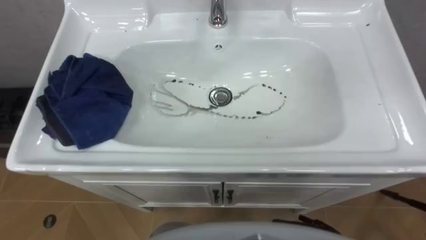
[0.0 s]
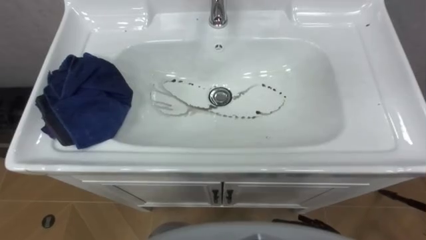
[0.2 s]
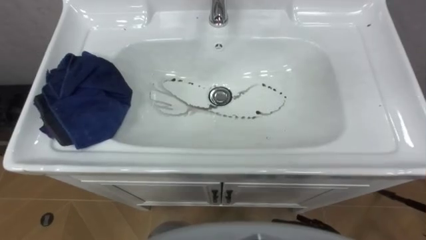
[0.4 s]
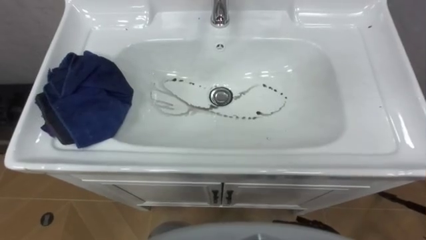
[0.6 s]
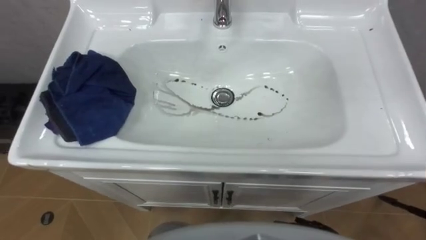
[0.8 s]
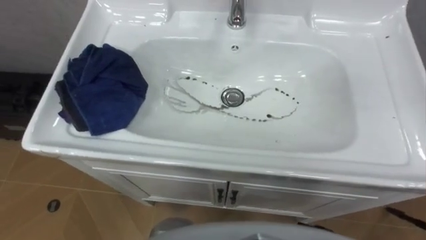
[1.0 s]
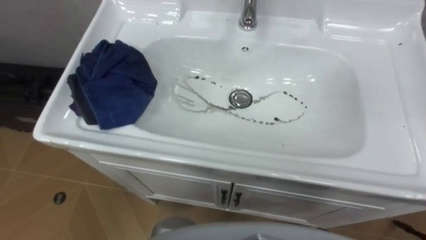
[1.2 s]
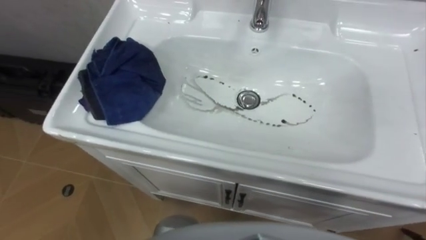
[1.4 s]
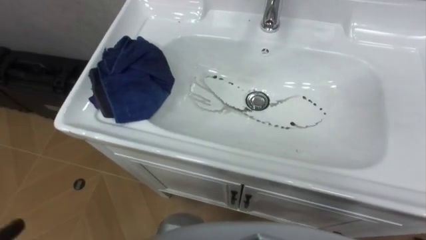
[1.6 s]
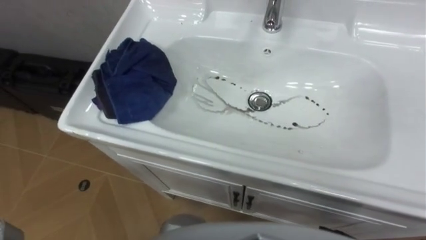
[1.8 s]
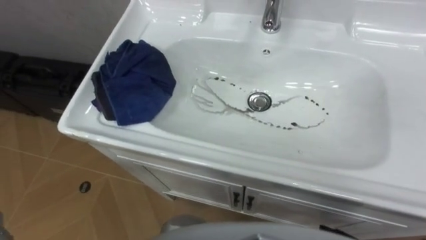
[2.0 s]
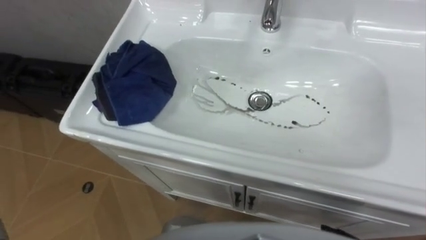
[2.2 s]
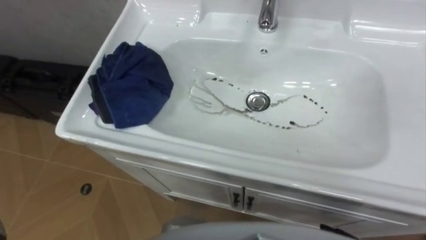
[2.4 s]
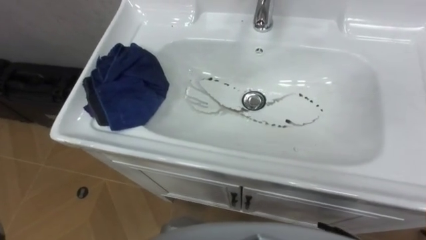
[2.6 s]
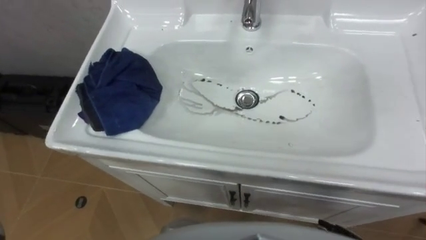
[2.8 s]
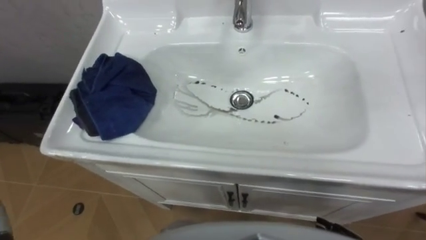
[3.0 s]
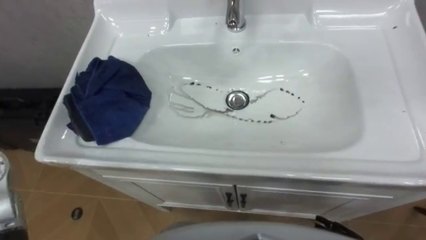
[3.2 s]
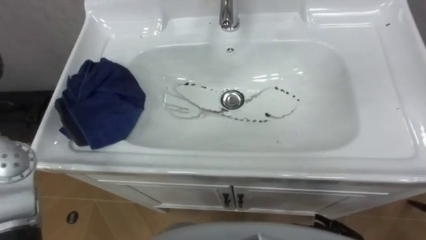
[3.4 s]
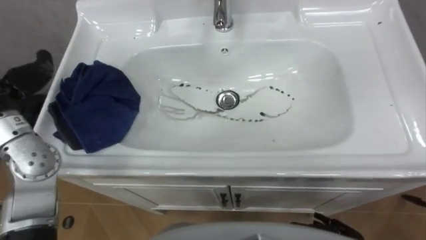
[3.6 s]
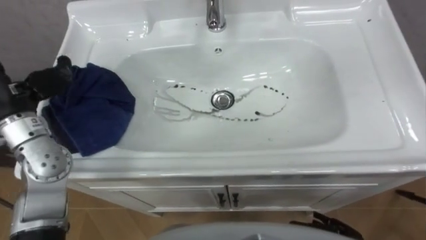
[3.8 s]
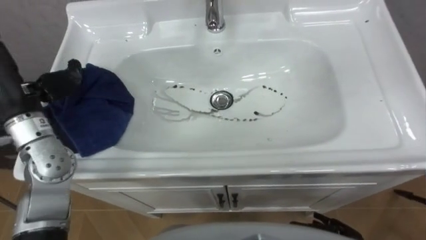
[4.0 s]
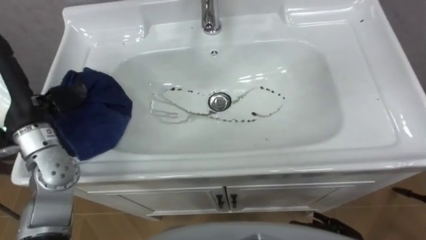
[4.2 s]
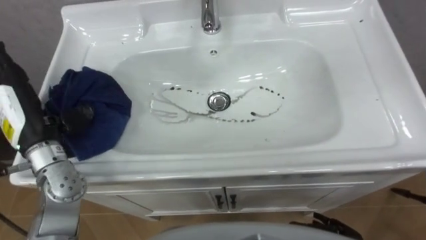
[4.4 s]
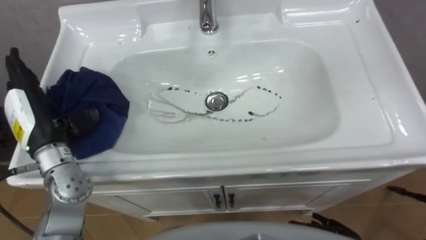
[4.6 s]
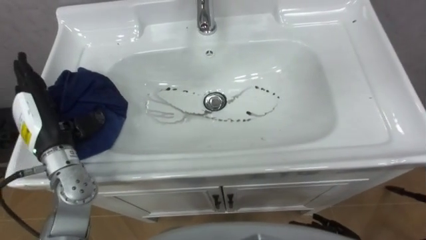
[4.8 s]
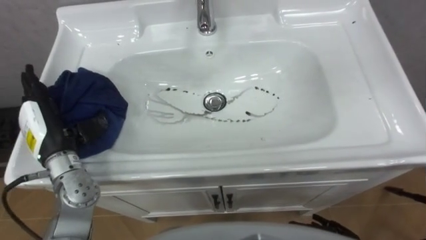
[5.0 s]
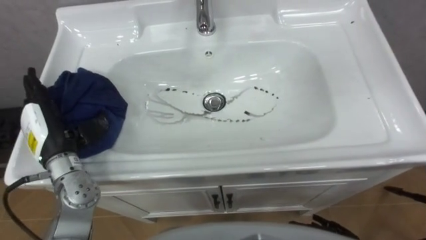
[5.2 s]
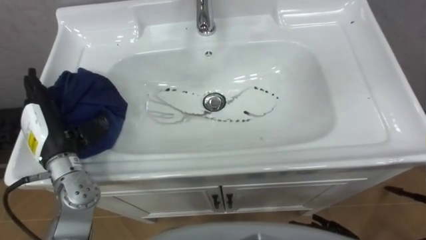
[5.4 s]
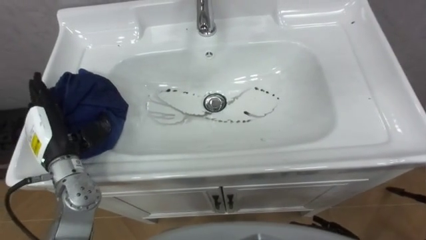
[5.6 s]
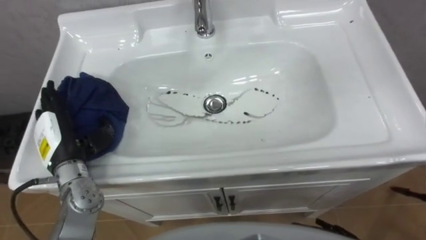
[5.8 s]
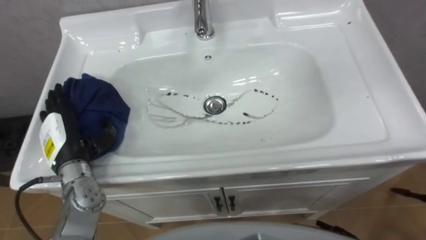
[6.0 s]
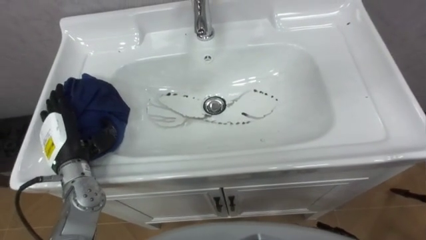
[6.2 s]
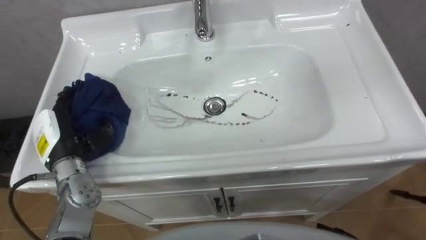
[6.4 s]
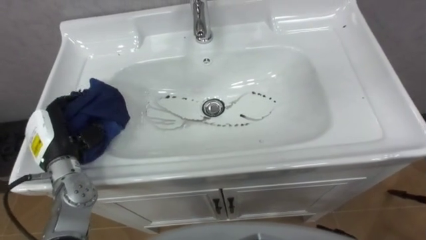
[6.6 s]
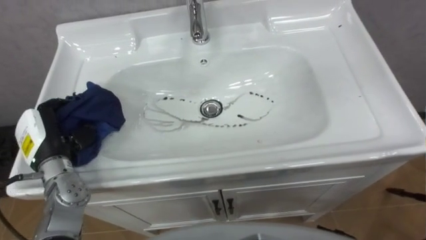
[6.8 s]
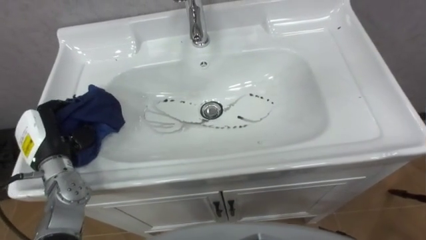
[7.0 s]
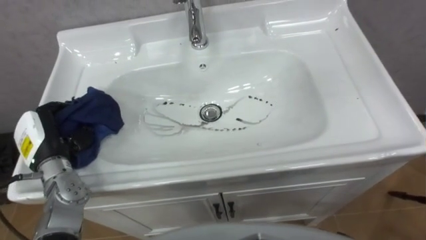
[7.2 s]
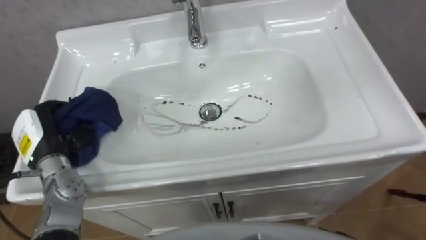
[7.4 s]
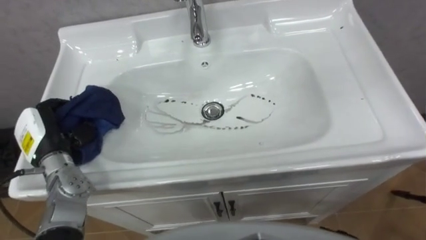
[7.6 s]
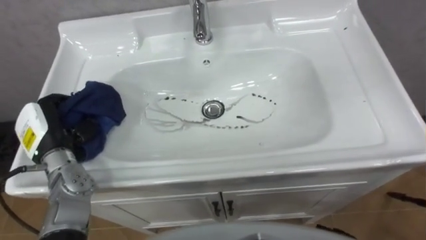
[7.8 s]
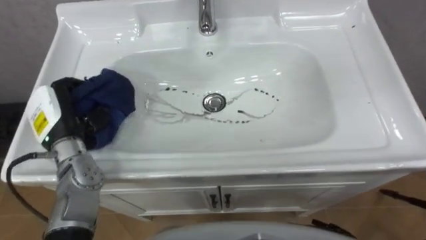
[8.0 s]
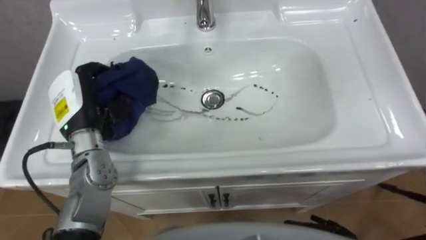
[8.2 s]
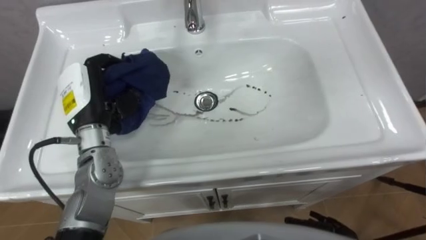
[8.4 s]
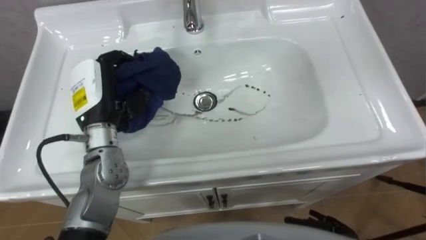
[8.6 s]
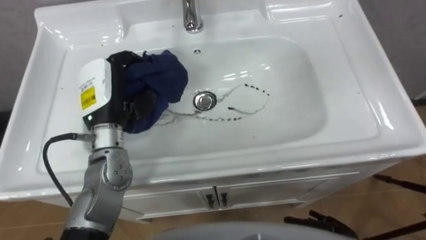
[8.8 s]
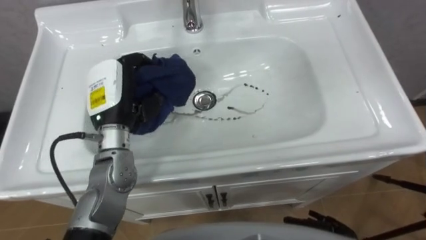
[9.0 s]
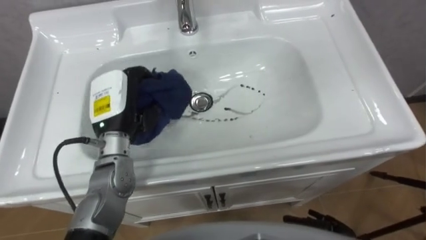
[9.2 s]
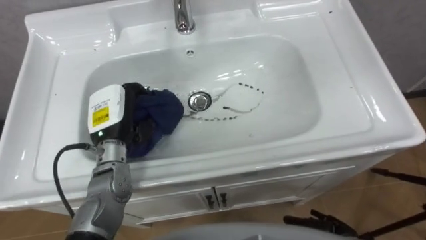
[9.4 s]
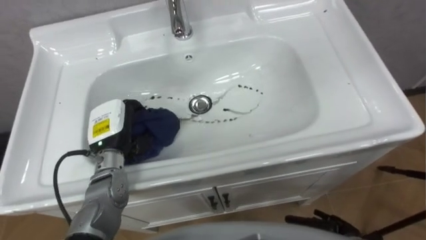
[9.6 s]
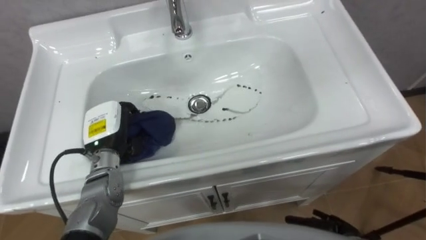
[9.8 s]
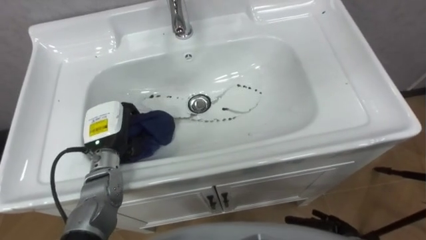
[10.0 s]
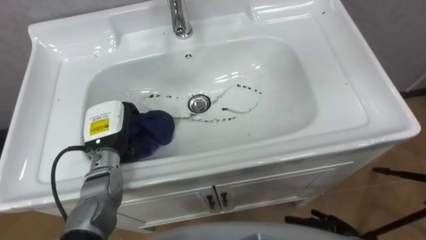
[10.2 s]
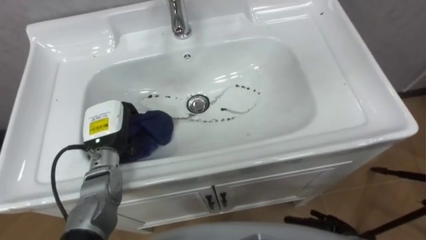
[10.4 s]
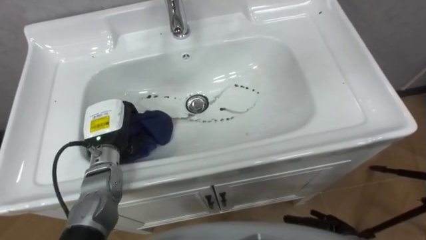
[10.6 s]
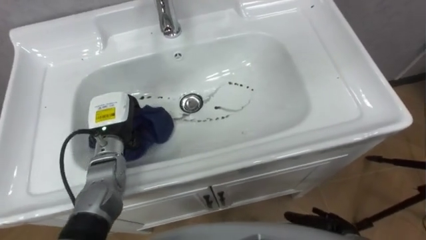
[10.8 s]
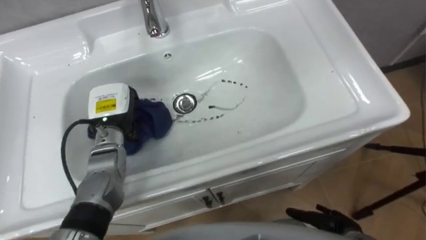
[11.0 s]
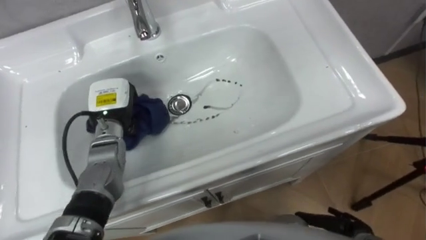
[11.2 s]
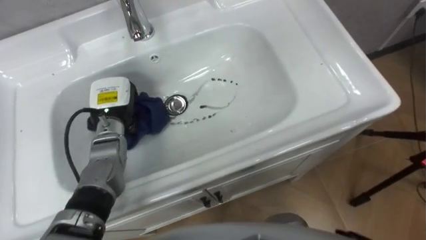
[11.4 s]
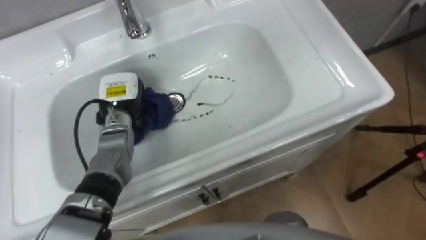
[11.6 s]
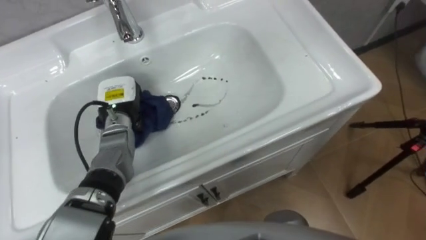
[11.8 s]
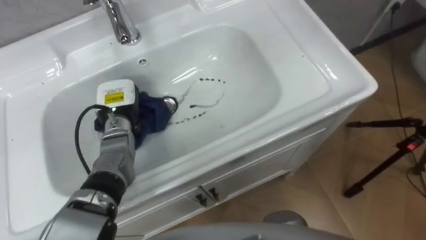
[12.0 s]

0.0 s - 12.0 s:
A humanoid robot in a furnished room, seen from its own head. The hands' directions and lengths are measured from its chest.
Task of the whole recording: Use the cloth on the right to wipe away the black stain in the sink.
4.4 s - 6.0 s: The left hand travels downward by about 10 cm.
6.0 s - 7.6 s: The left hand closes up.
7.6 s - 9.0 s: The left hand heads to the right and upward, covering approximately 15 cm.
9.0 s - 10.4 s: The left hand moves downward, roughly 10 cm.
10.4 s - 12.0 s: The left hand travels forward by about 5 cm.

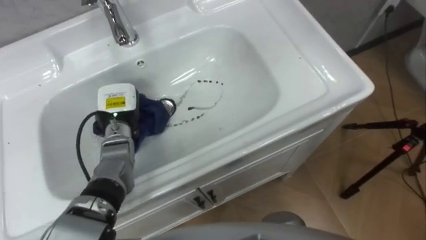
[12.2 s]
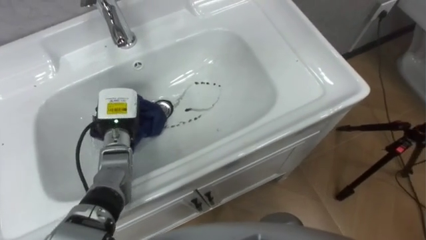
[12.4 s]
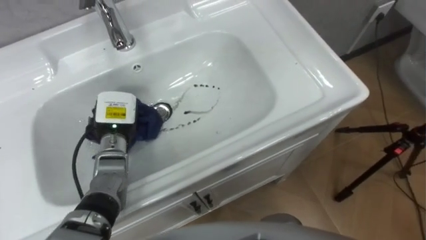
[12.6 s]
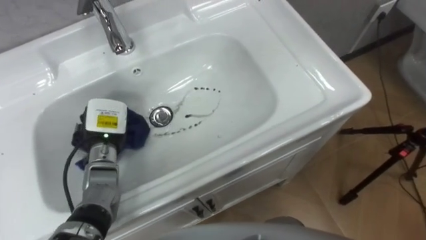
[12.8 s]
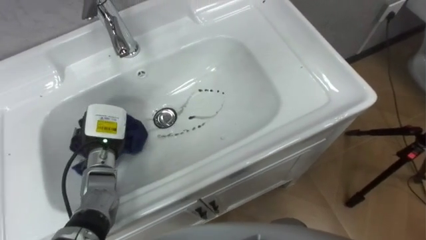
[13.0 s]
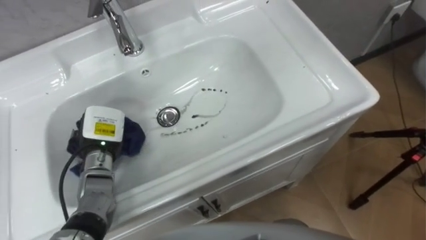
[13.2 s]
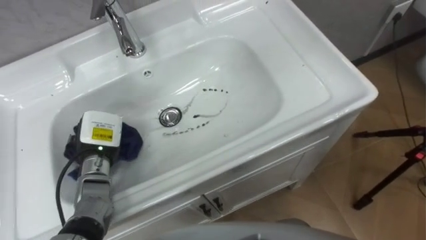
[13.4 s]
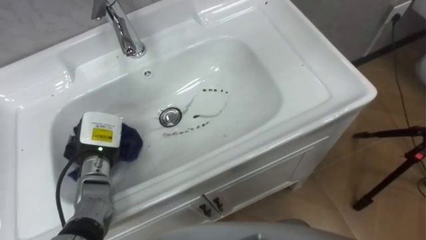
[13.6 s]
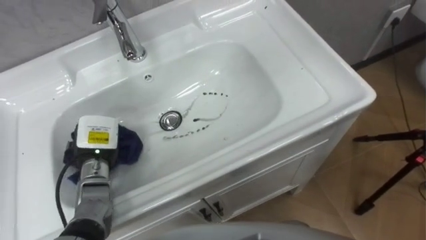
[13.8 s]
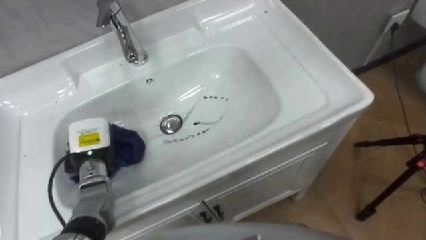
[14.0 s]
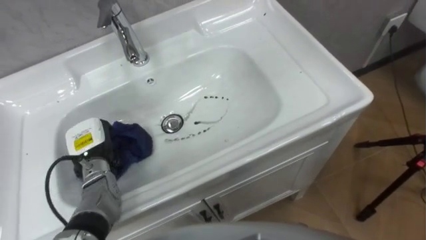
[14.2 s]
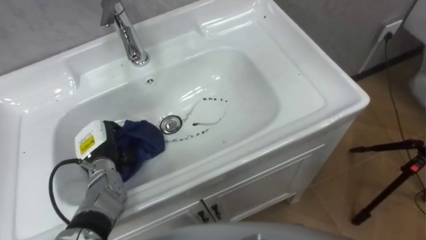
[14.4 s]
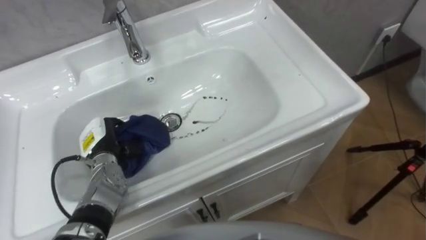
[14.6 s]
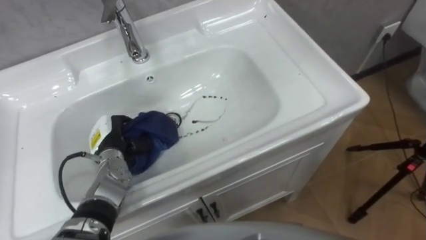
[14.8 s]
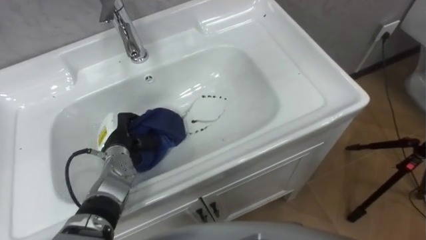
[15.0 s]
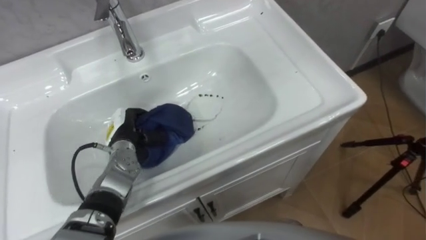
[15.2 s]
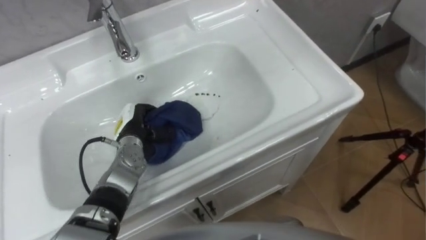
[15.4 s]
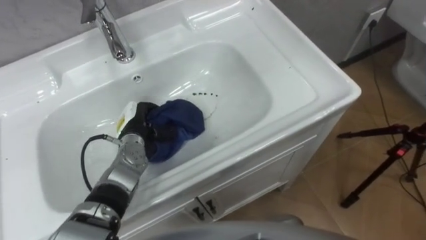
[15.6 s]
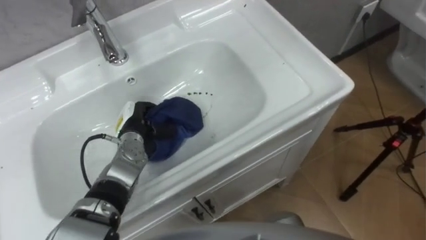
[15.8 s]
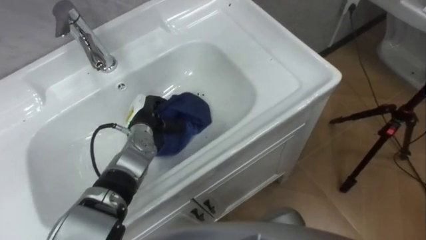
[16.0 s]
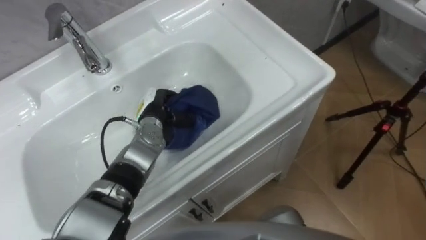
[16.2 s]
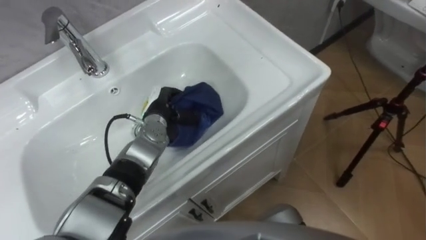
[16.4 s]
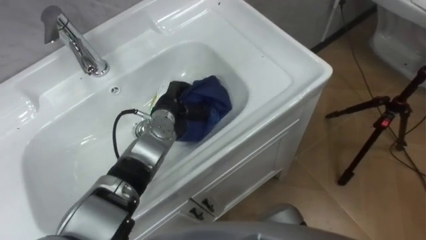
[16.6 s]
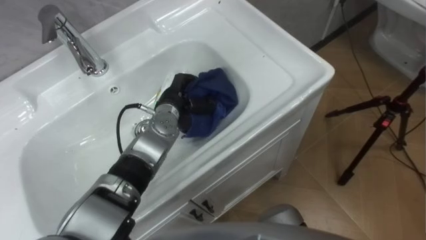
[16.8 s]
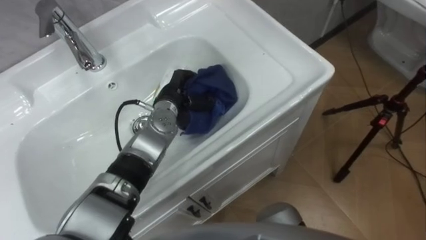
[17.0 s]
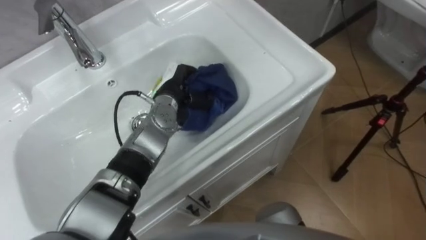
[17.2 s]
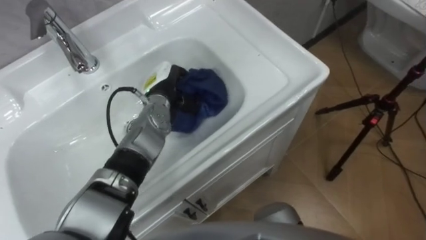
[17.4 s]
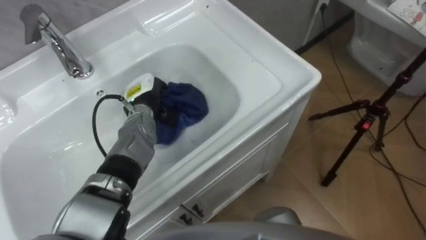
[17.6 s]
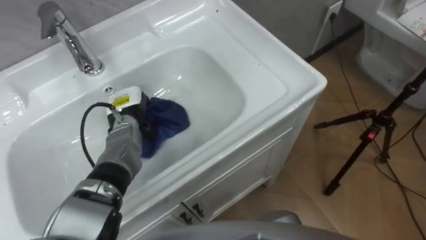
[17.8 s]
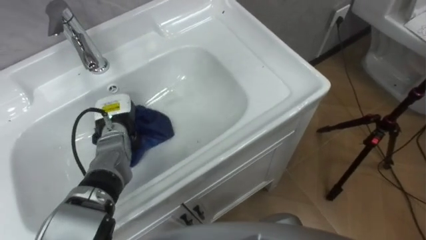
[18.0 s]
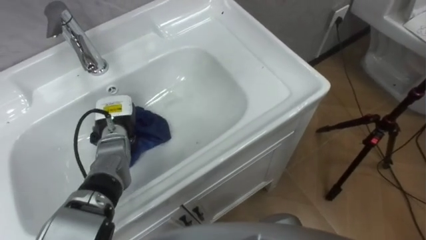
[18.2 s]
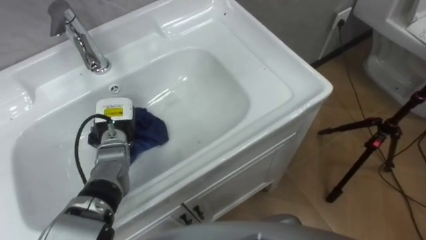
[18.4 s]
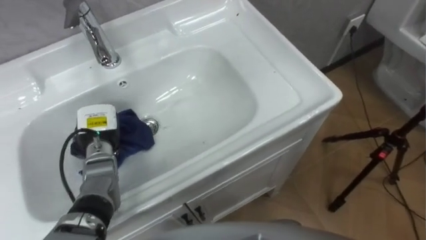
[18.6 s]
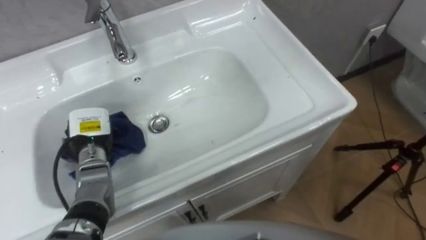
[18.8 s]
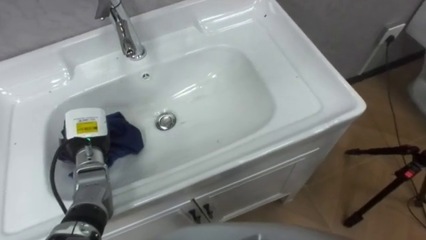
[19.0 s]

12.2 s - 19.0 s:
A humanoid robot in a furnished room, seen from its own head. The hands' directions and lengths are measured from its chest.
Task of the whole recording: Use the cloth on the right to wipe away the black stain in the sink.
12.2 s - 13.6 s: The left hand heads backward, covering some 5 cm.
15.0 s - 16.2 s: The left hand moves to the right and forward, approximately 10 cm.
17.6 s - 19.0 s: The left hand moves to the left and backward, approximately 15 cm.
